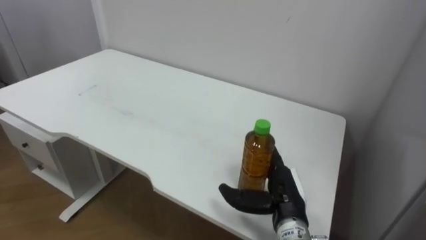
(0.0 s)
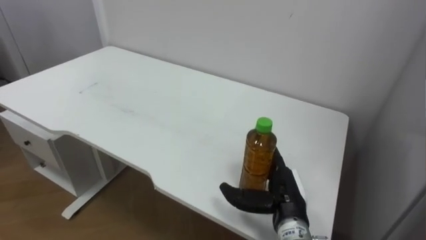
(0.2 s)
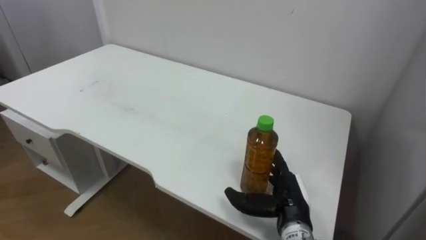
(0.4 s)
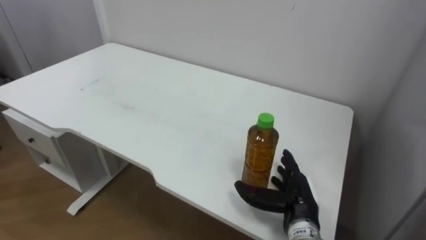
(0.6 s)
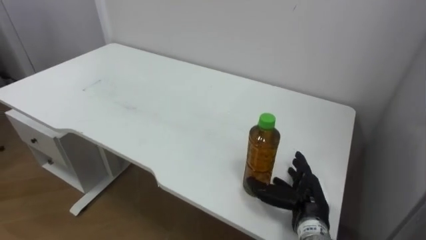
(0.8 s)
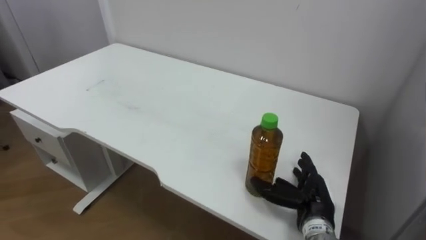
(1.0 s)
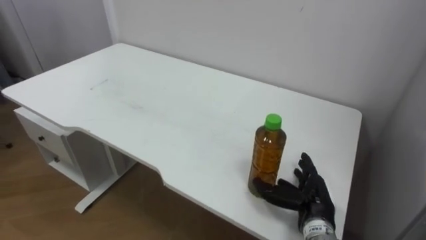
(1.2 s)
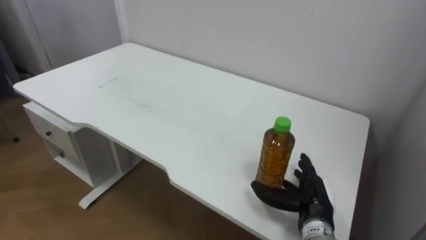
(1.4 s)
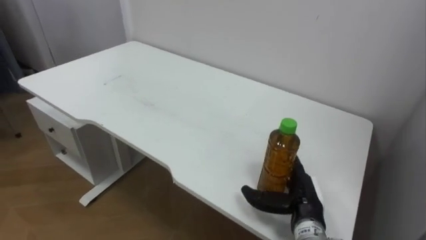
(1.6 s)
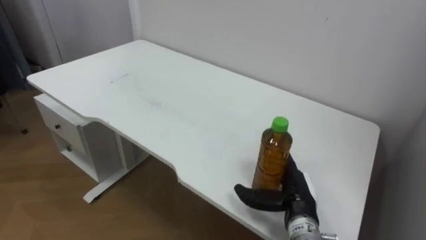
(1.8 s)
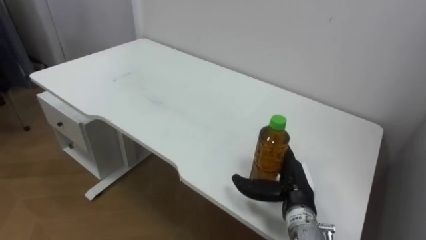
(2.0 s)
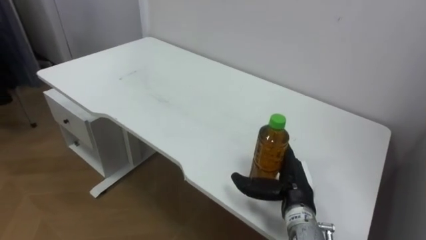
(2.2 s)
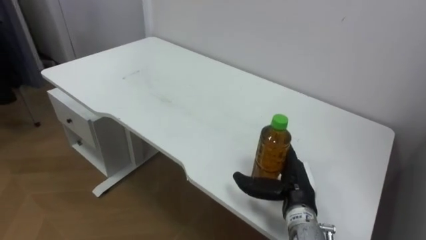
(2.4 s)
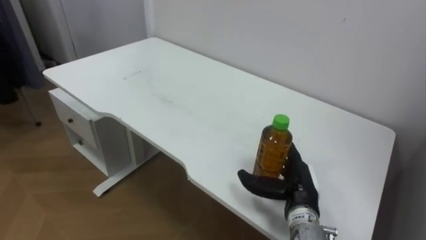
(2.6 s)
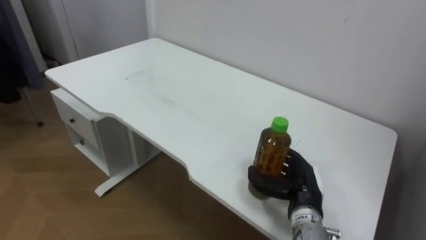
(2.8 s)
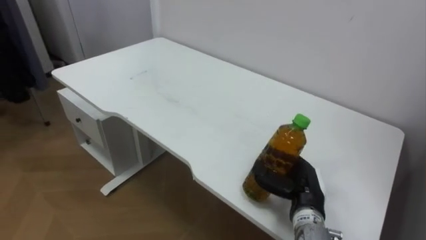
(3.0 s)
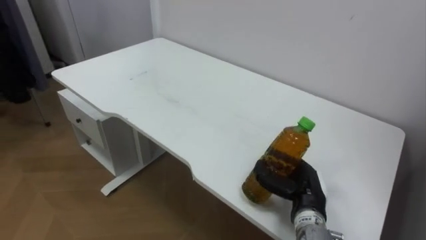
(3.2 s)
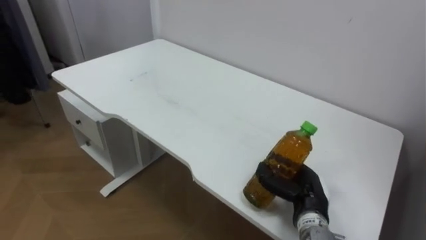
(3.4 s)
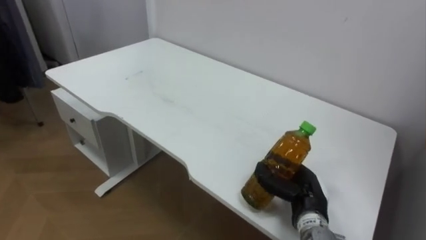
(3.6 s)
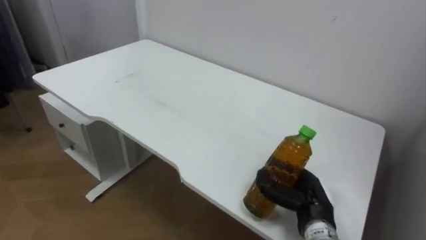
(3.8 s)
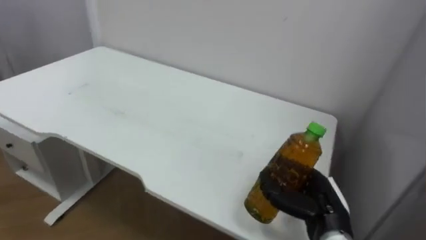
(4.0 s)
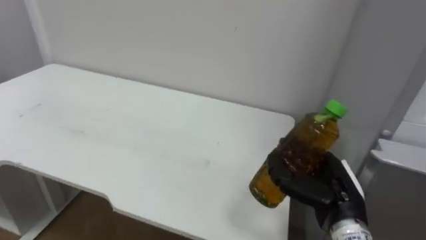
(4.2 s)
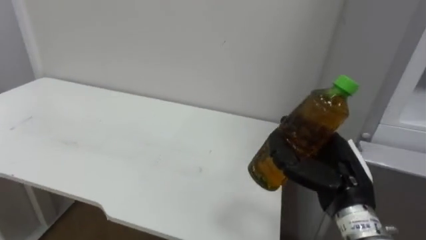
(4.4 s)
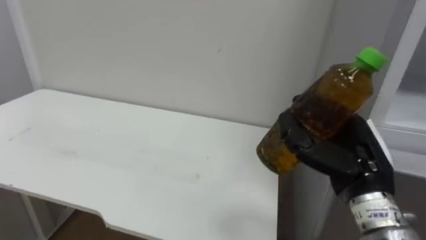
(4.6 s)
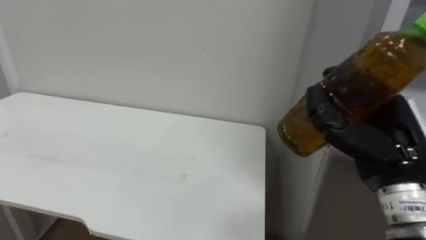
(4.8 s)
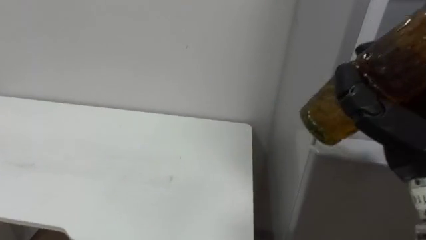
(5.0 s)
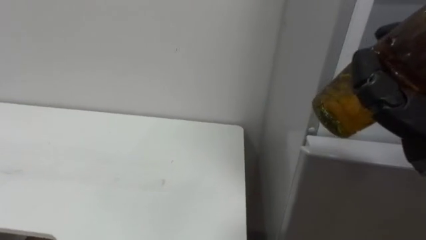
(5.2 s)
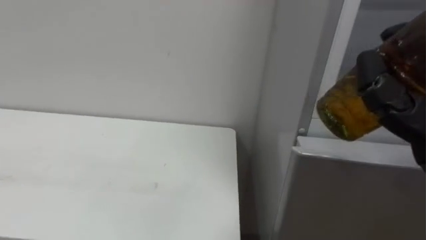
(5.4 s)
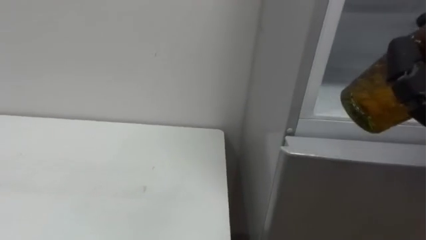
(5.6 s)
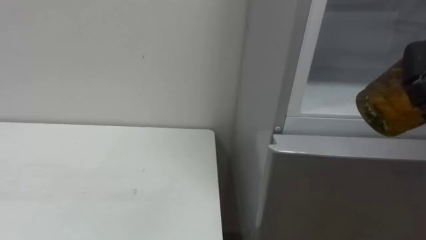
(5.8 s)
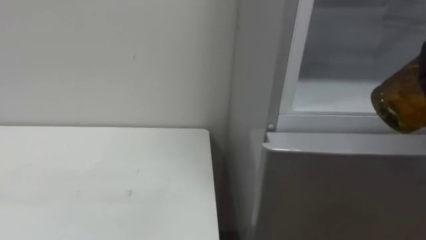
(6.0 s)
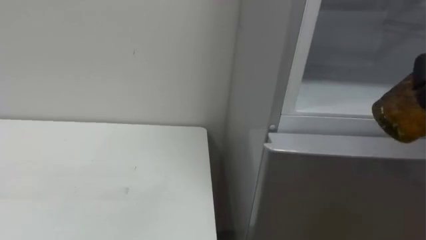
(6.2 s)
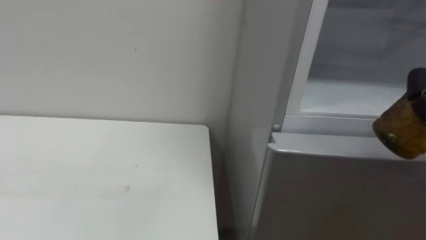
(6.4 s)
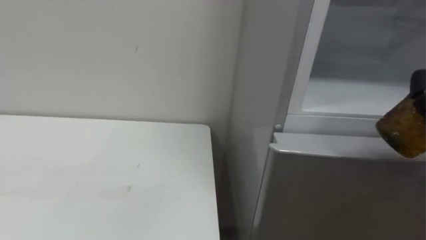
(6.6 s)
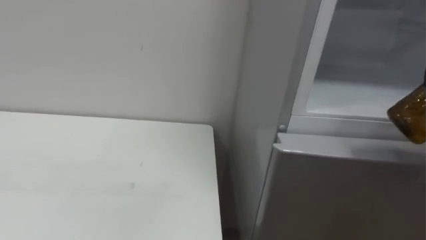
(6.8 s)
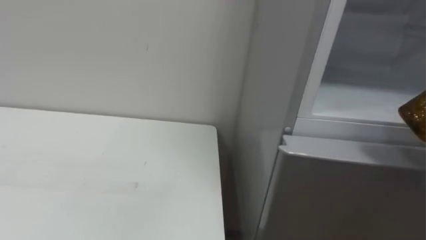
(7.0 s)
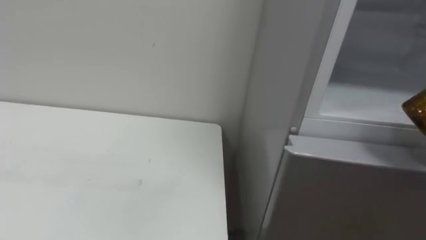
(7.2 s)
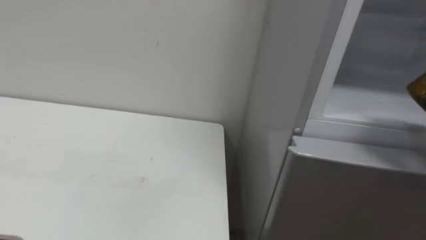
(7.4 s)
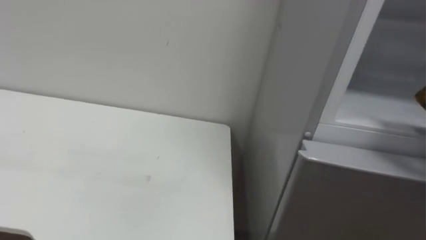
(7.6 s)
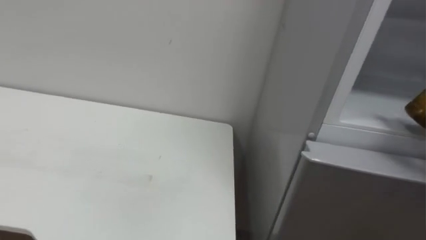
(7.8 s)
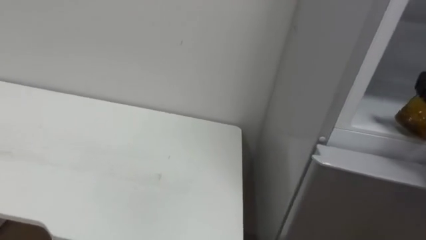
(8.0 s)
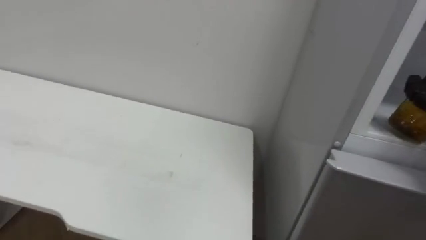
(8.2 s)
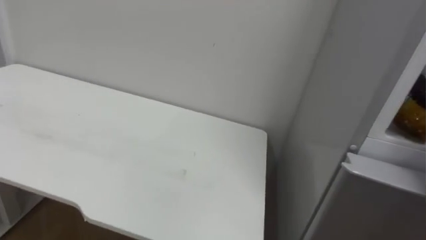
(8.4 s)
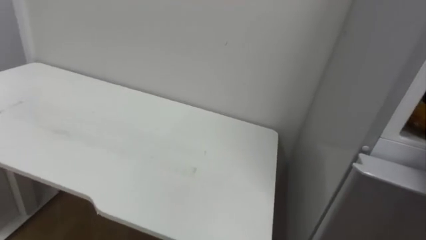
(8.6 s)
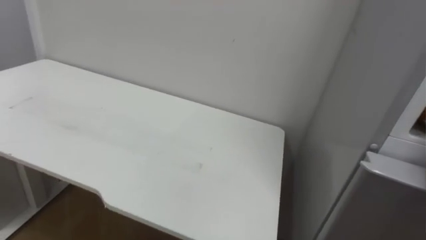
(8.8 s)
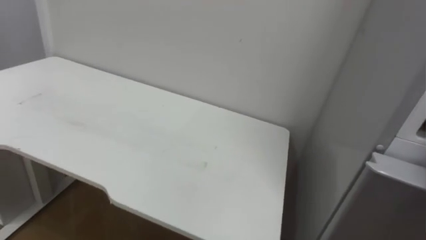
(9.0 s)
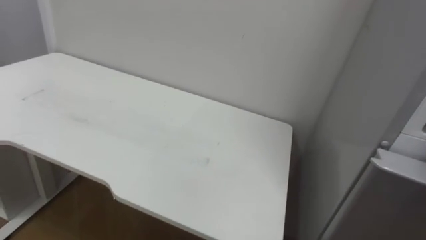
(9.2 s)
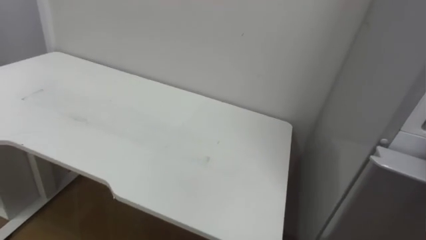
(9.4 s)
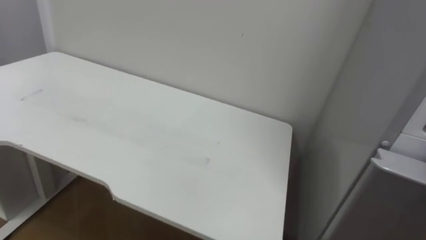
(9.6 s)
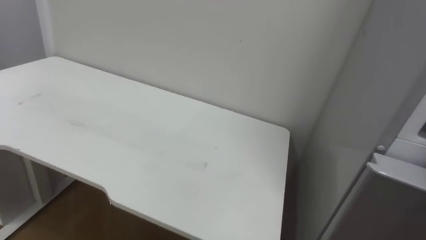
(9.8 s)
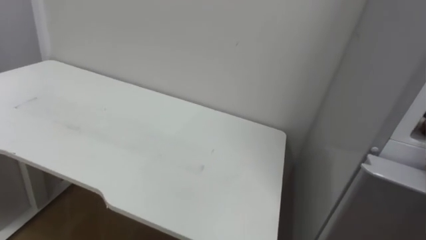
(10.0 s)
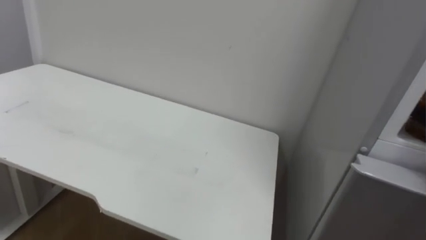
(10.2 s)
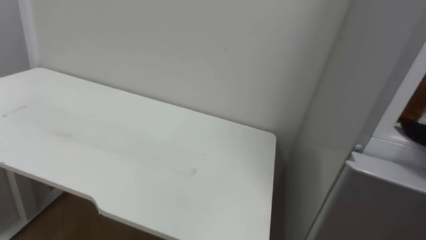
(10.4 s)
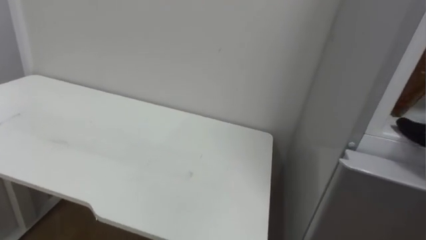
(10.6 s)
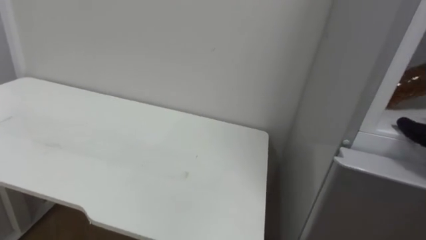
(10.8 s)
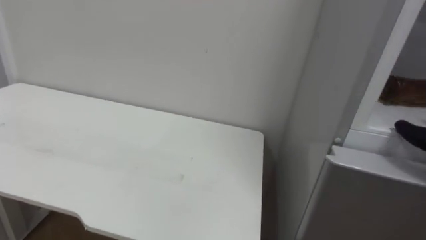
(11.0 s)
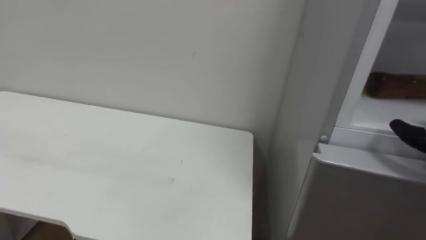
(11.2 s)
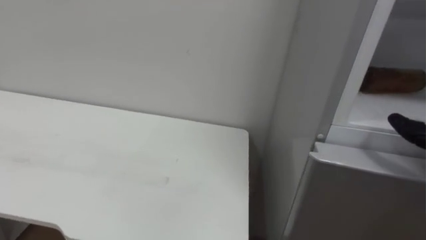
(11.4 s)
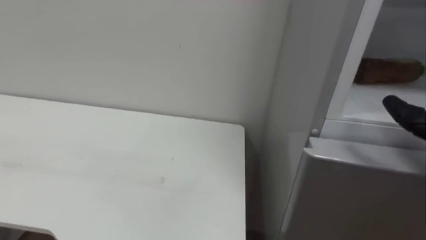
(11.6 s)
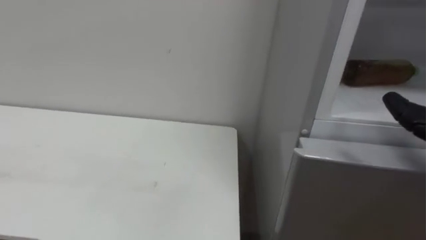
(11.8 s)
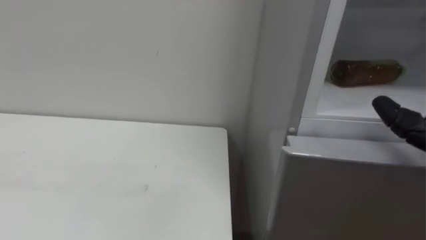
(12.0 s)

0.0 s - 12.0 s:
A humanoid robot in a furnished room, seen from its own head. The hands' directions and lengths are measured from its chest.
Task of the whole recording: Open the upper refrigerator door, put the drink from the table into the refrigerator, and then close the refrigerator door.
0.0 s - 1.6 s: The right hand ends up roughly 5 cm from where it was.
1.6 s - 3.0 s: The right hand closes up.
3.0 s - 4.4 s: The right hand heads upward and backward, covering about 10 cm.

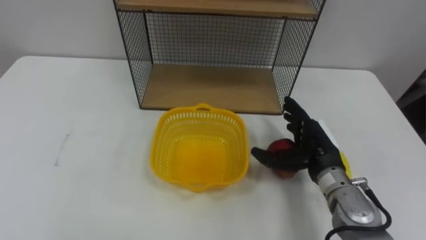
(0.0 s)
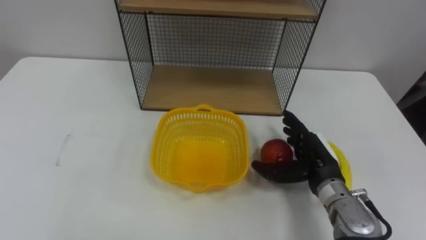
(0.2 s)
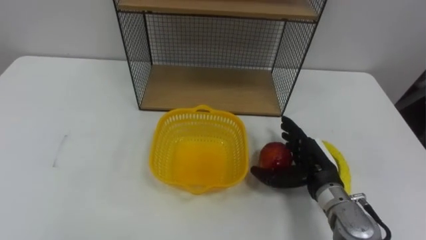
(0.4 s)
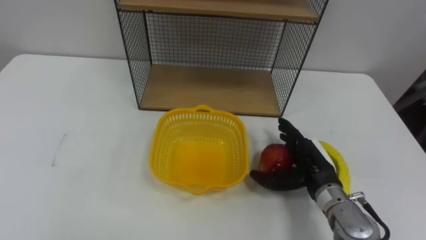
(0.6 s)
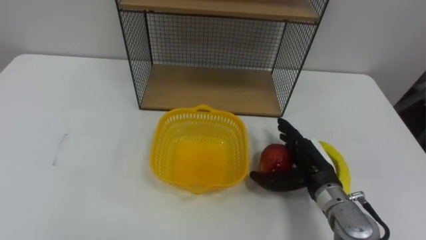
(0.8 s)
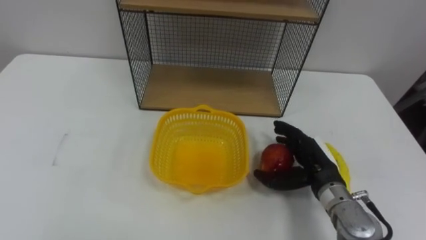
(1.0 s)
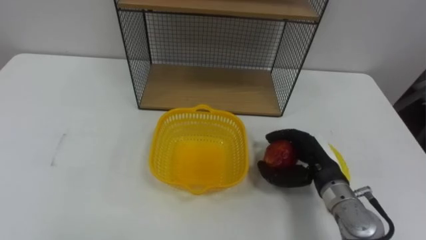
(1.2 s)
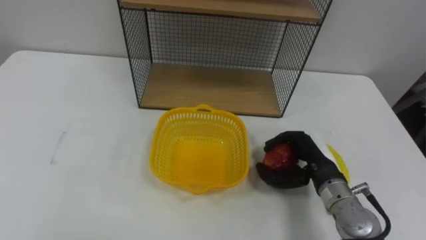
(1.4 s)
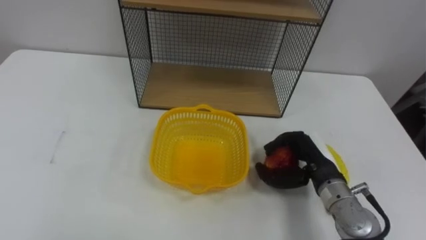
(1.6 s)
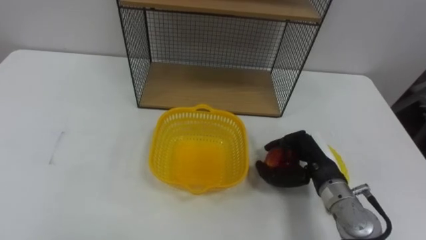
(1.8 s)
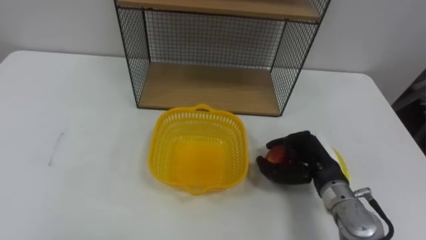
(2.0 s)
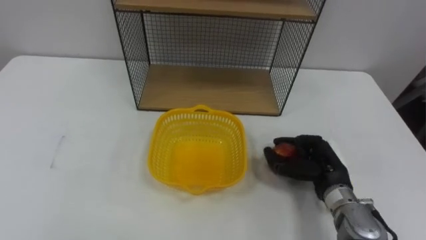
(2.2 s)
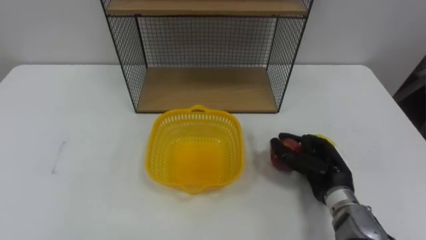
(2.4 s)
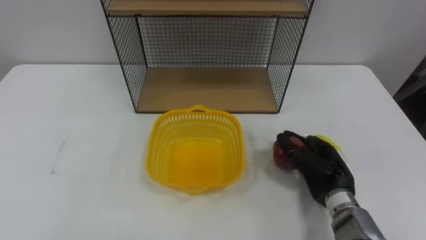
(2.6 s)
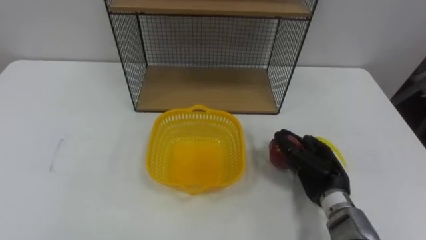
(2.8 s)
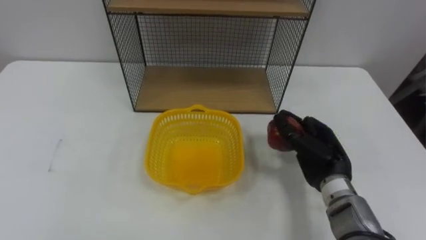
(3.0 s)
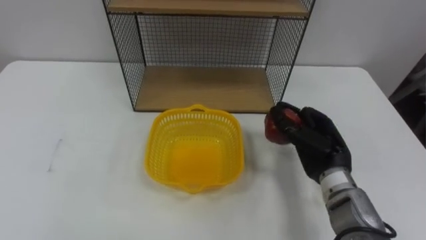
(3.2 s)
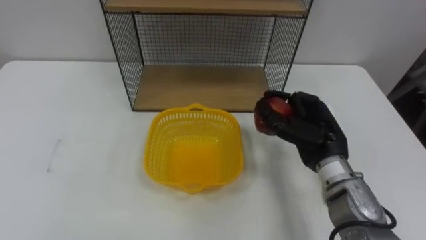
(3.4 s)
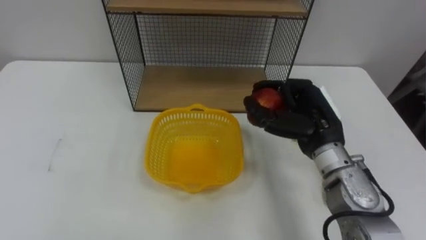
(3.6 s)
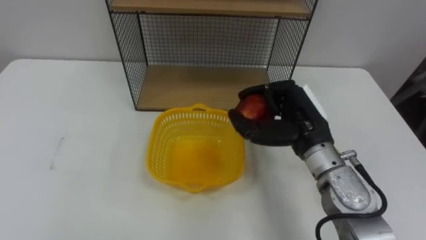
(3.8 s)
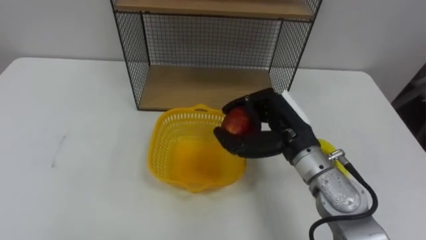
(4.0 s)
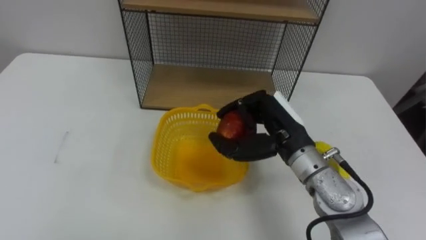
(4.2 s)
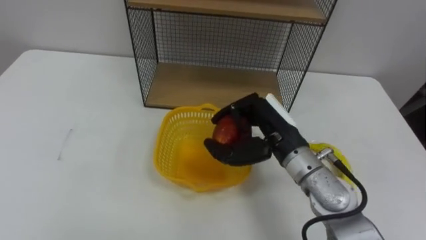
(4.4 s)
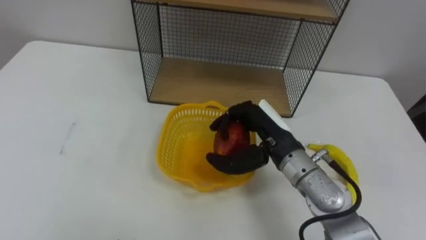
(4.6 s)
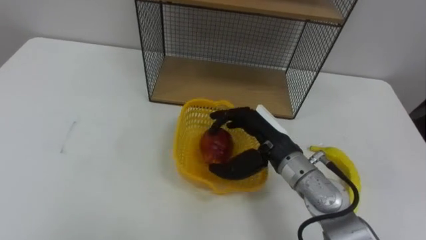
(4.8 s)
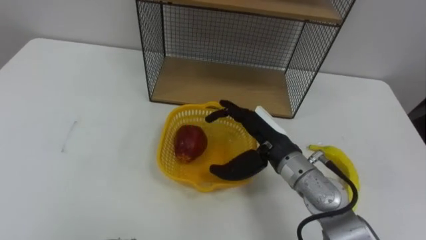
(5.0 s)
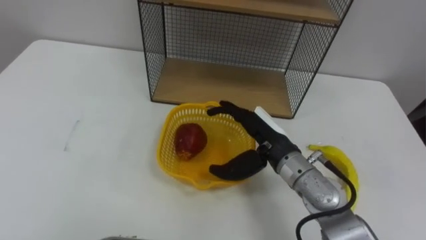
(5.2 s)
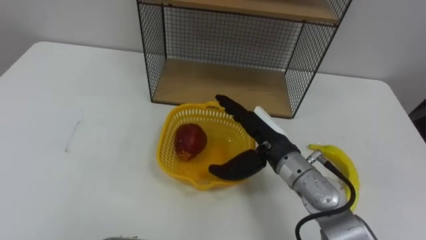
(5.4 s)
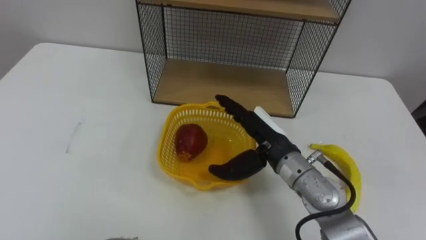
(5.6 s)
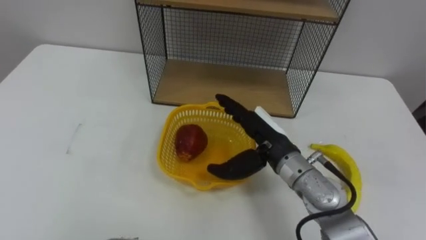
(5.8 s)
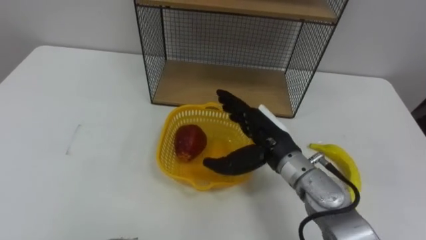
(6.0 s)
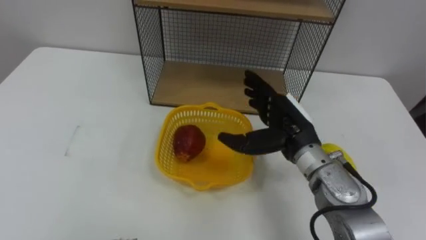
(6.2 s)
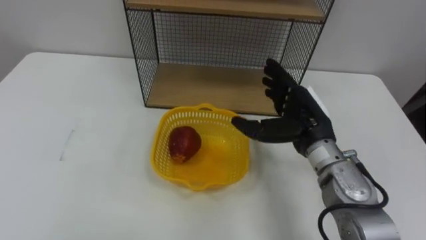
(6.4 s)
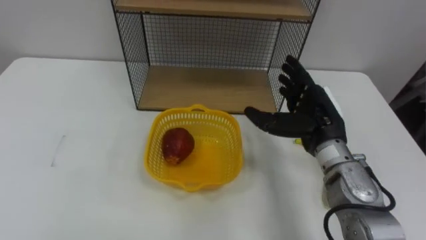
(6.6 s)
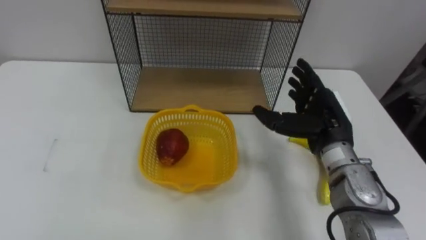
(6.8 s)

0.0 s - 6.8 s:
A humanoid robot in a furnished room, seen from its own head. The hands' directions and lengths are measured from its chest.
Task of the whole recording: Put the fruit on the table into the basket, then place the basket on the shelf.
0.0 s - 1.4 s: The right hand closes its fingers.
2.8 s - 4.0 s: The right hand shifts approximately 15 cm upward and to the left.
4.0 s - 5.4 s: The right hand opens.
5.4 s - 6.8 s: The right hand moves to the right, approximately 10 cm.
